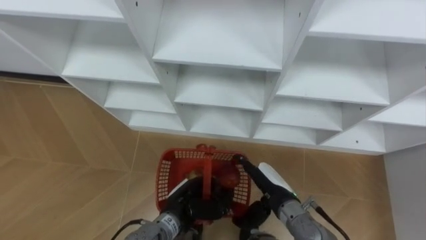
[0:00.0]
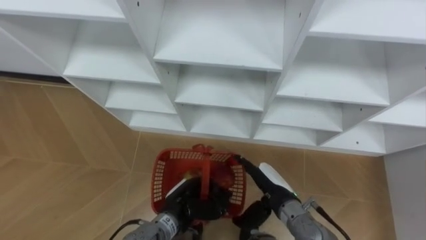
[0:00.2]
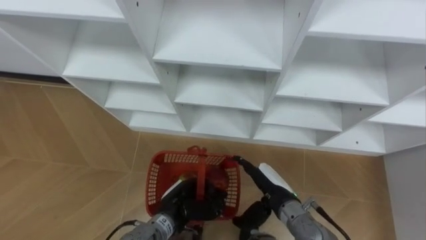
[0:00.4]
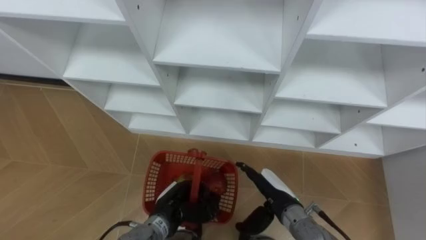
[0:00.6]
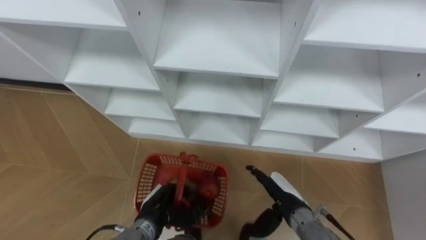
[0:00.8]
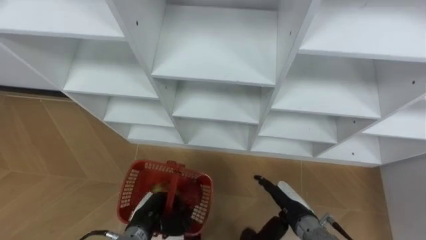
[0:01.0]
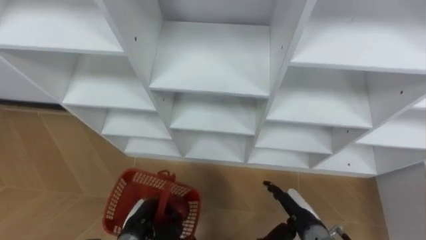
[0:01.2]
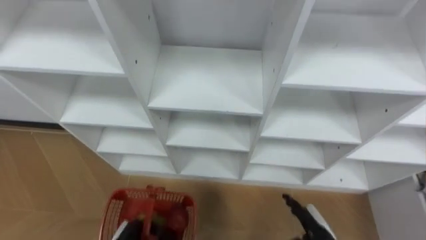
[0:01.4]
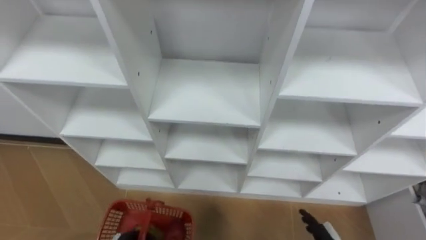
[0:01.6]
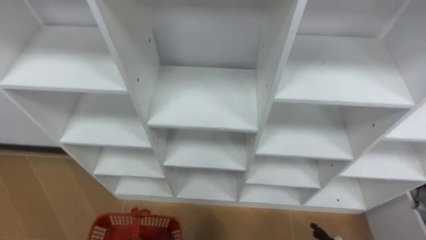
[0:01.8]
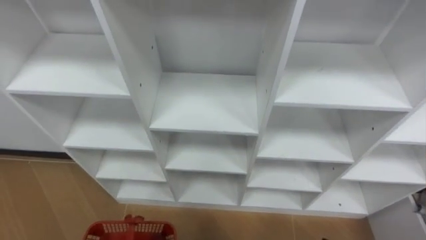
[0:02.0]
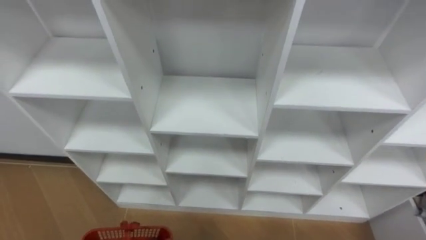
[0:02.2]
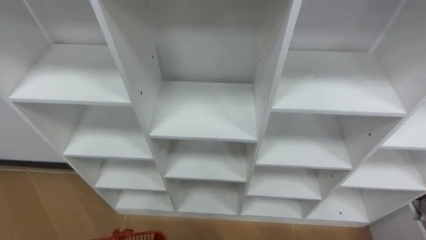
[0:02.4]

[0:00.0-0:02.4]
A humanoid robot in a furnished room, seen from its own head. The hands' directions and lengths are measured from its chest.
Task of the whole recording: Hold the basket and collect the fruits from 3 different cells of the closet into it.
0:00.0 to 0:01.2: The right hand goes some 10 cm to the right and downward. The left hand moves to the left, approximately 10 cm.

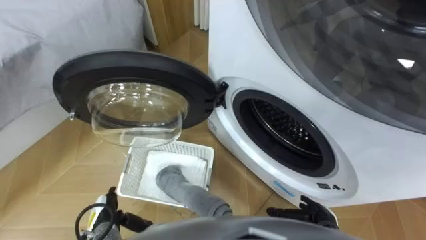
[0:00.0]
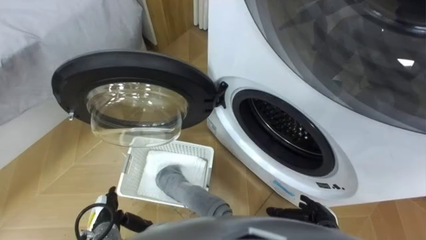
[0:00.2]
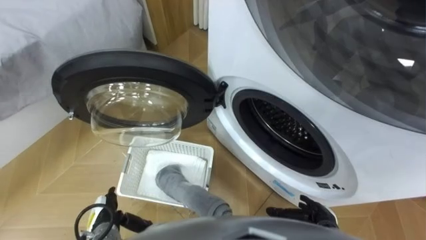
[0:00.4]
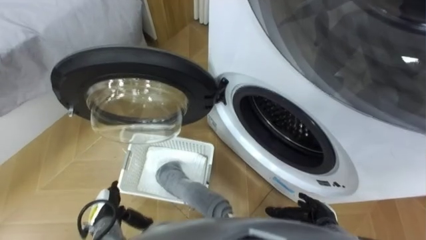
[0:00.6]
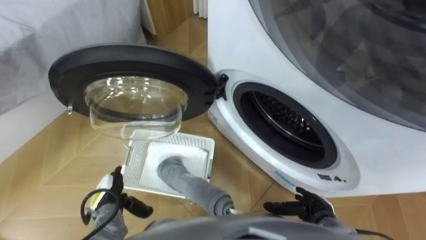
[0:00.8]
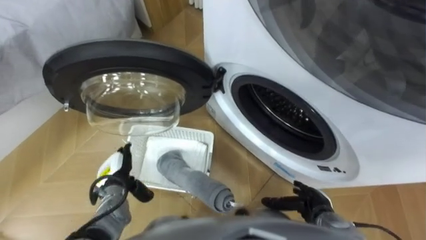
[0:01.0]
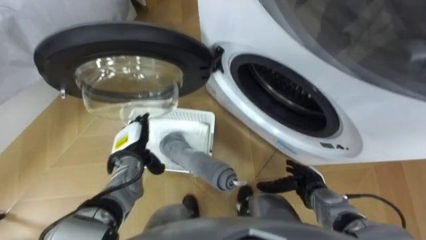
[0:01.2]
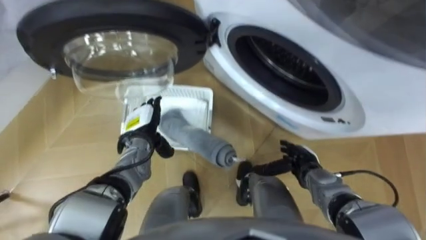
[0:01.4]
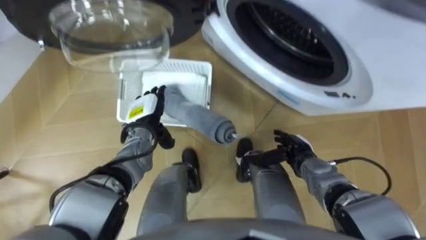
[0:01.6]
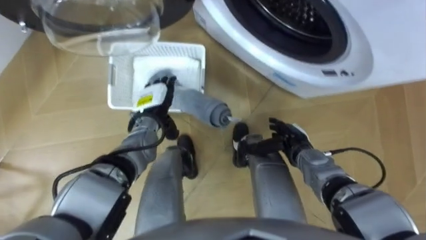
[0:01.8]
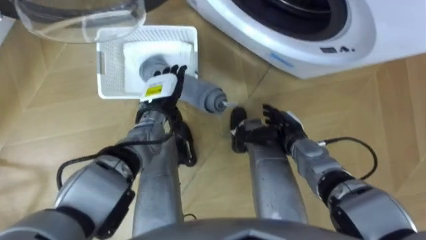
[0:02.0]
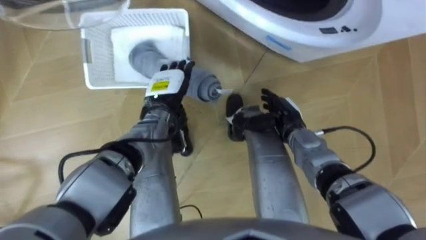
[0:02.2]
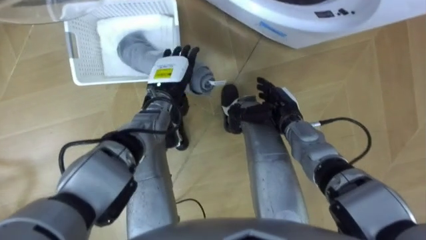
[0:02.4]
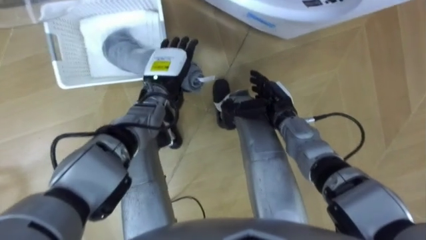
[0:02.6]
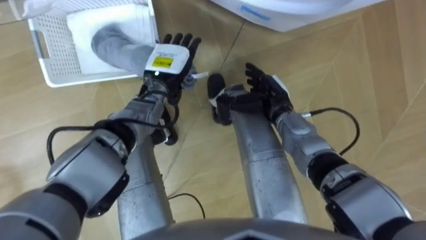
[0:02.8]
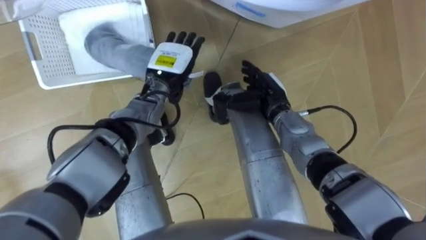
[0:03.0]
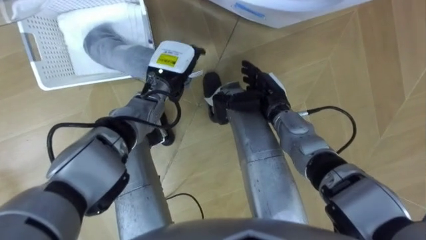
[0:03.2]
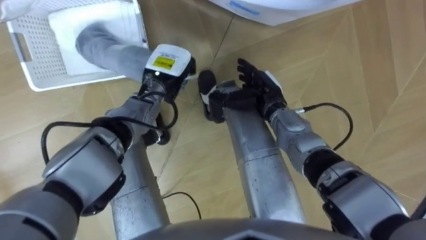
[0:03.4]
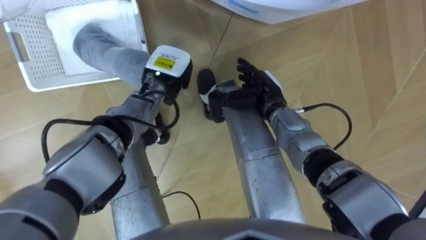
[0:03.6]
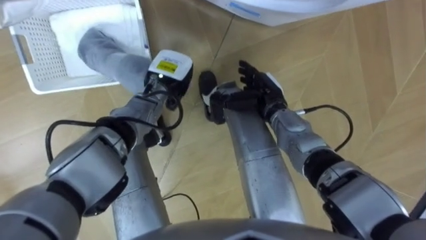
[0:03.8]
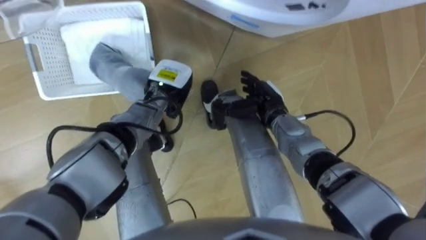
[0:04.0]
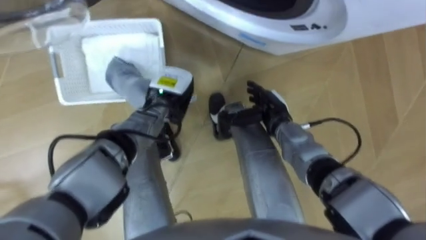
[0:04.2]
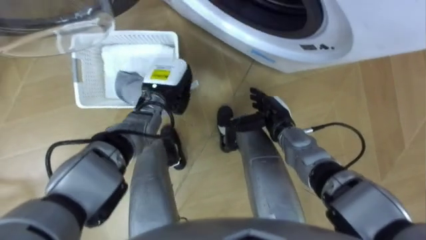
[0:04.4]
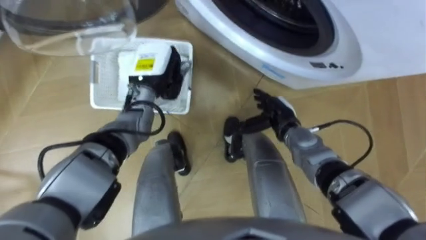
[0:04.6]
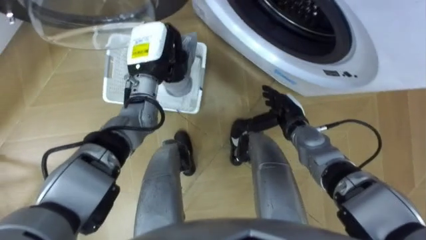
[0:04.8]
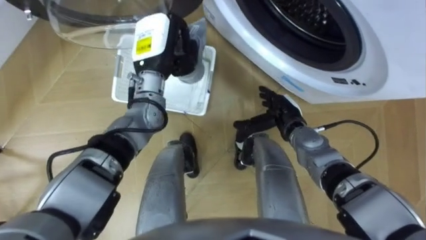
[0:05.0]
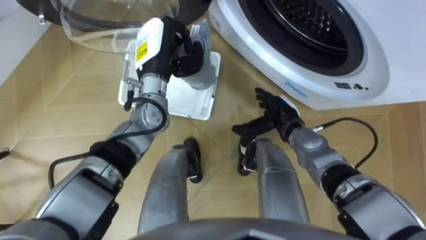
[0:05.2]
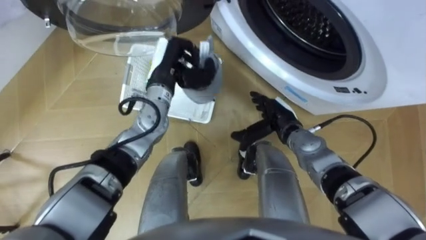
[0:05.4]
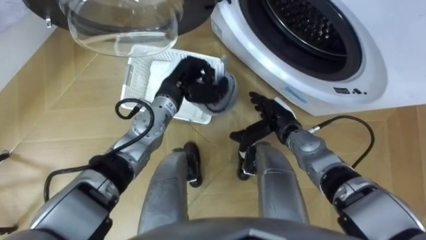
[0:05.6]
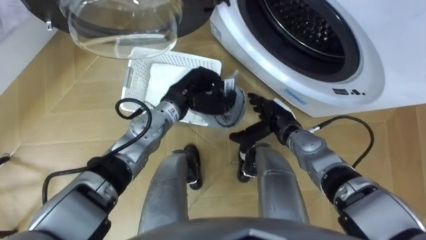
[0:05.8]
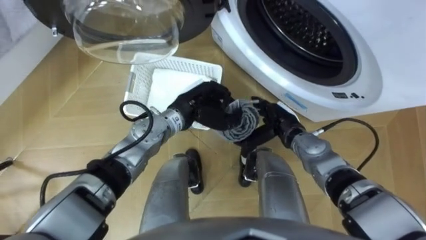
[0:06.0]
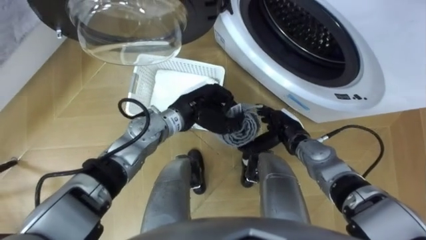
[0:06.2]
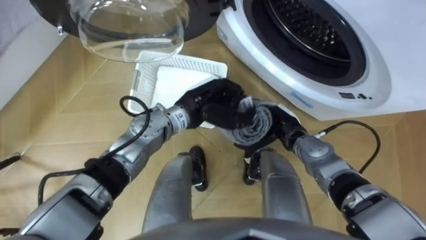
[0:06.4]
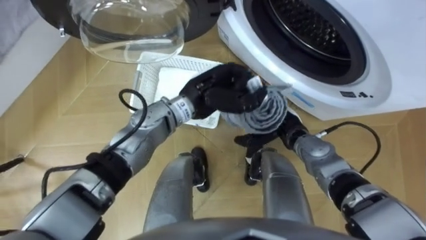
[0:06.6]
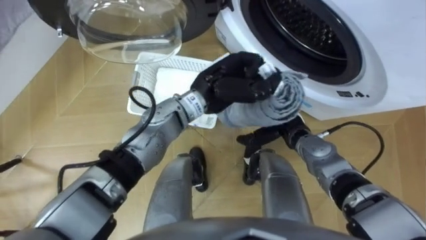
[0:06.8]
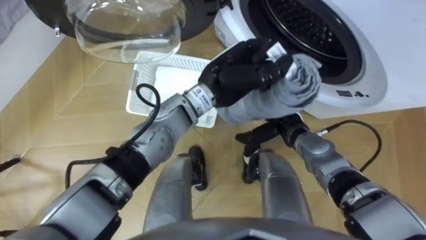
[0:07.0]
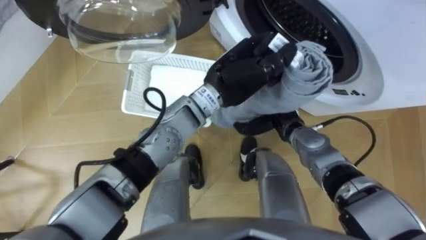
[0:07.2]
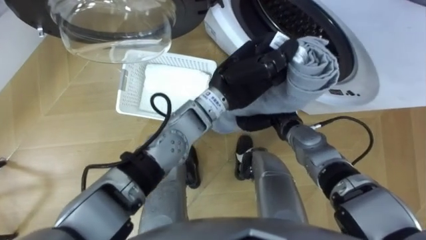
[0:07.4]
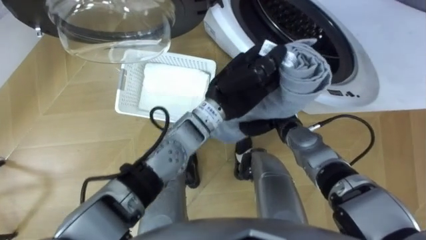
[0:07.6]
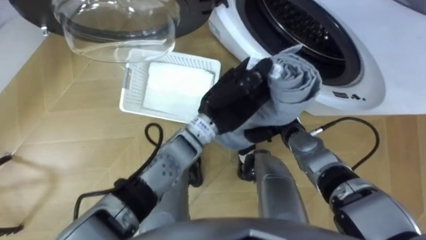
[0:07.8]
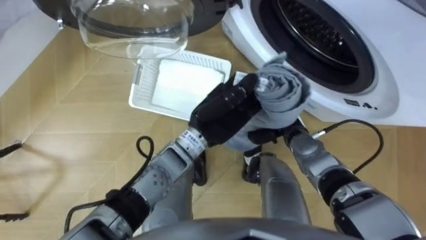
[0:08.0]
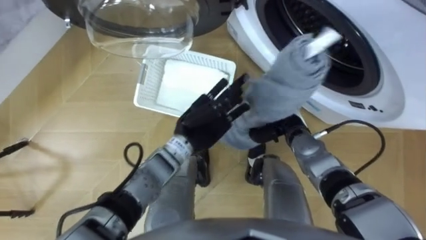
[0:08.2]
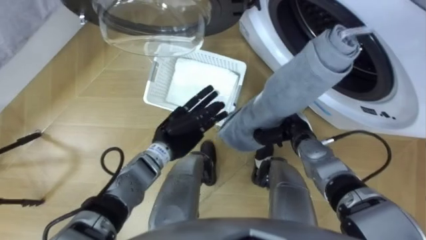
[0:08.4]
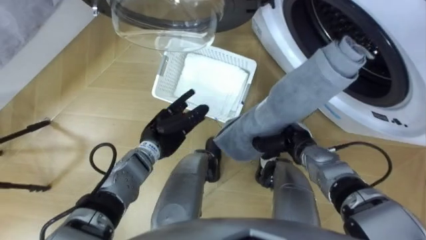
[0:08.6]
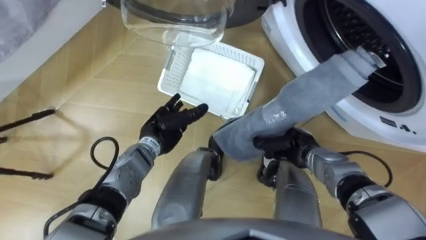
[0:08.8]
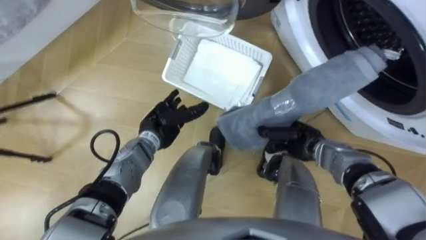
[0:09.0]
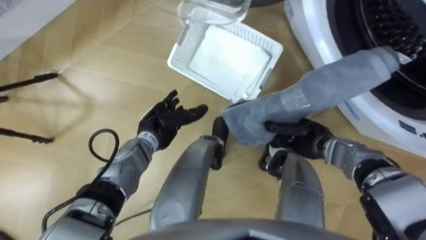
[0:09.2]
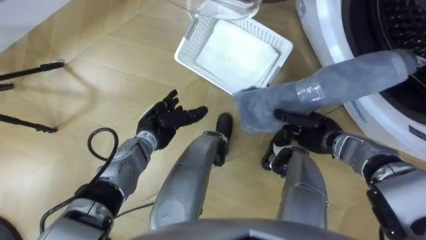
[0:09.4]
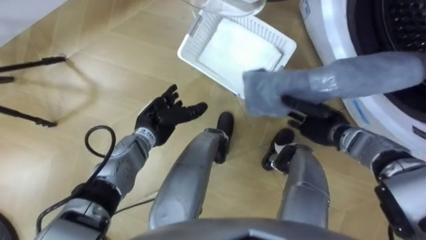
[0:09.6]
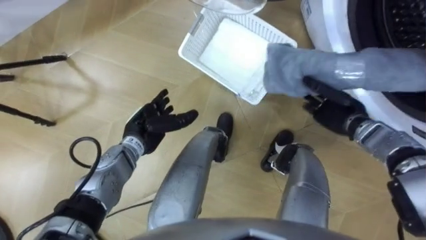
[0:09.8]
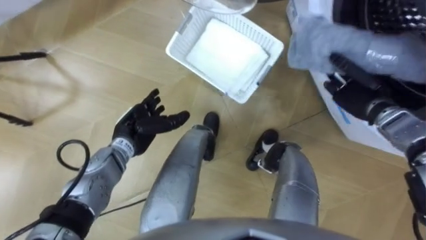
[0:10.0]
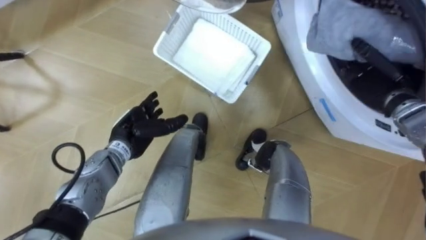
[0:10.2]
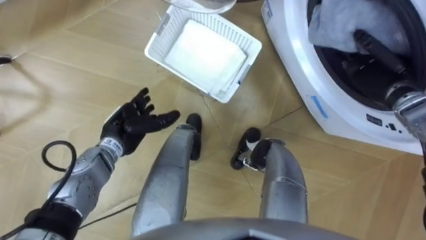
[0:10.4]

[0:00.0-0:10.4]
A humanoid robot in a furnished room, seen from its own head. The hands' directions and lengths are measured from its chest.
Task of the whole recording: Take the towel from the basket and put it into the washing machine.
0:01.4 to 0:03.0: The left hand moves upward, forward and to the right, about 15 cm. Meanwhile the right hand heads forward, upward and to the left, covering some 20 cm.
0:03.0 to 0:04.4: The left hand closes. The right hand shifts by some 5 cm.
0:04.4 to 0:06.0: The left hand travels to the right and backward by about 10 cm, and goes upward and returns, some 10 cm each way.
0:06.0 to 0:07.4: The right hand closes. Meanwhile the left hand goes some 15 cm upward and to the right.
0:07.4 to 0:09.0: The right hand shifts about 5 cm to the right, while the left hand shifts roughly 25 cm downward and to the left, and opens.
0:09.0 to 0:10.4: The left hand heads to the left, covering about 5 cm. The right hand heads to the right, upward and forward, covering approximately 20 cm.

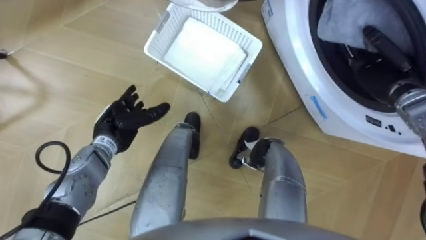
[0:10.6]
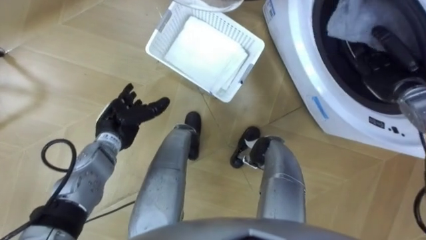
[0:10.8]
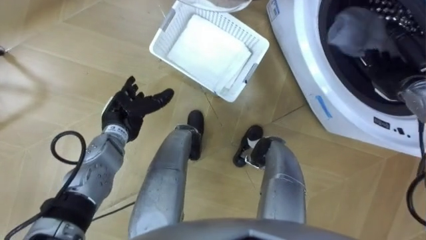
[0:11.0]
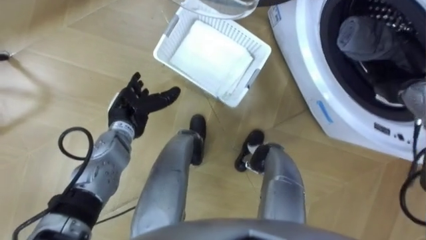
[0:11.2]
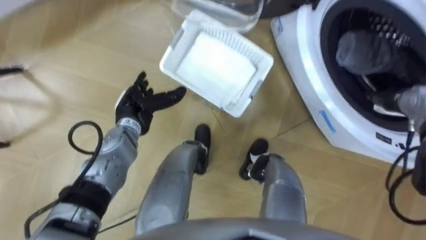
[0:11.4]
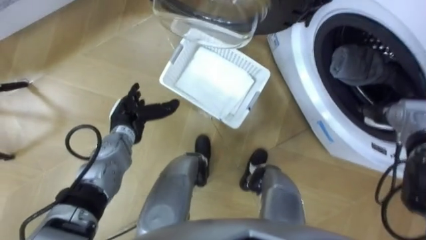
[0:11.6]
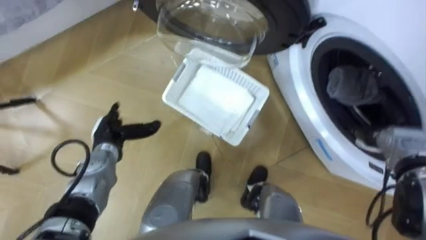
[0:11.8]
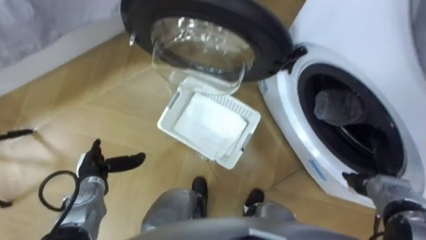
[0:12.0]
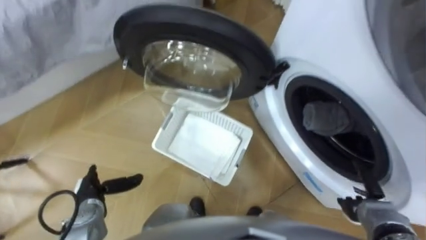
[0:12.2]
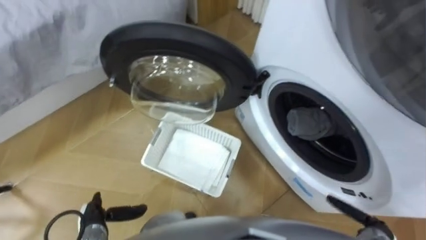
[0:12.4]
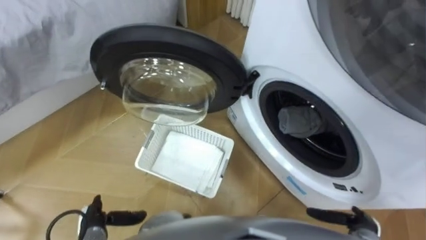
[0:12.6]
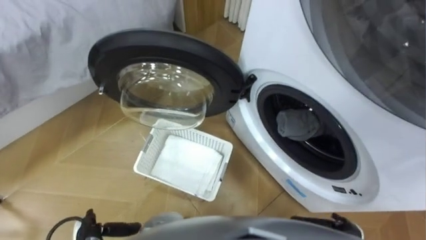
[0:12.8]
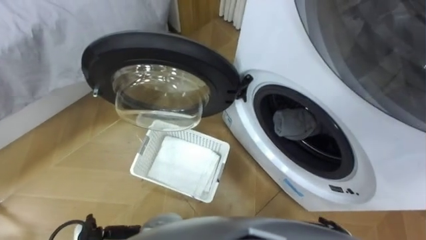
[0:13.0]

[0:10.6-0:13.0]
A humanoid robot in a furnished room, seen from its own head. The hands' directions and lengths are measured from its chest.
Task of the whole recording: Take the towel from the basket and put it into the washing machine.
0:10.6 to 0:11.8: The right hand travels backward and downward by some 15 cm, and opens.
0:11.8 to 0:13.0: The right hand goes about 25 cm backward, downward and to the left.

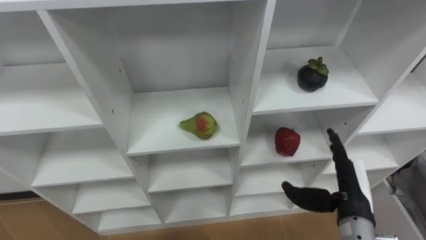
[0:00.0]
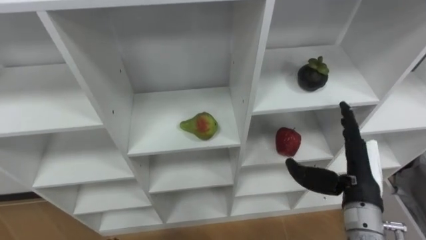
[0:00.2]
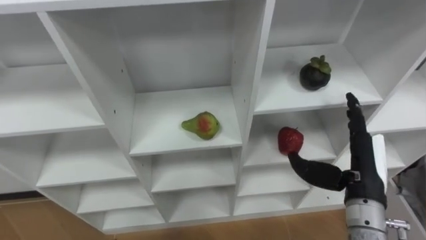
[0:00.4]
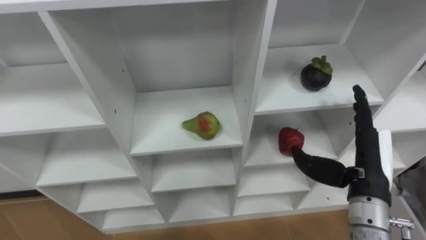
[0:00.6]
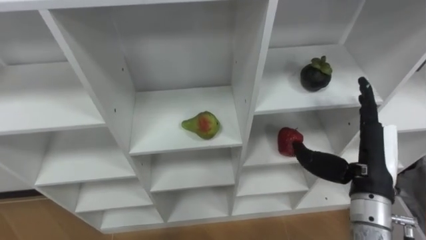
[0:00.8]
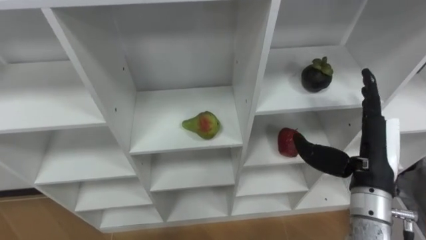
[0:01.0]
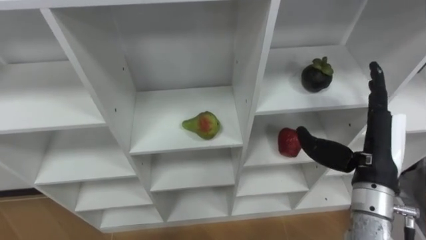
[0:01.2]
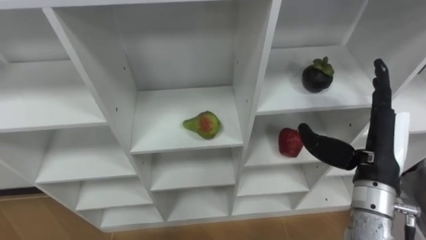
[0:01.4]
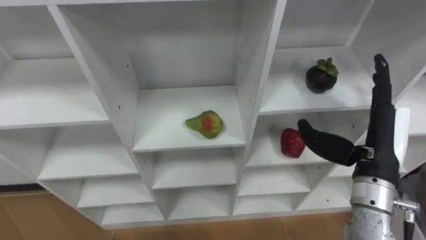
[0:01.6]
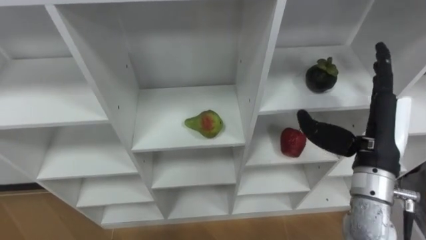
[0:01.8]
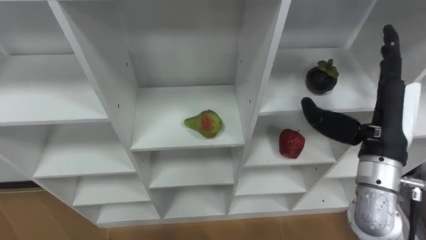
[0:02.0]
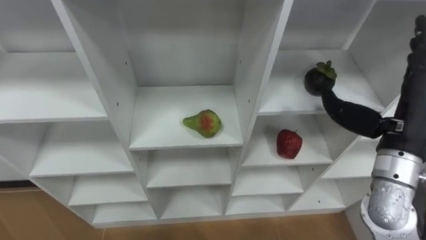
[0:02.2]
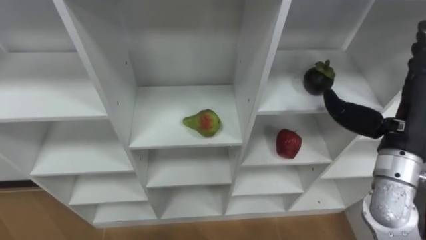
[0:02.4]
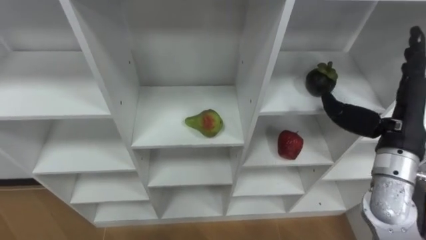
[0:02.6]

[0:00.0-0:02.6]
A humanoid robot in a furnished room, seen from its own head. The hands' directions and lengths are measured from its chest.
Task of the whole recording: Hold the basket and collect the fruits from 3 different cells of the closet into it.
0:00.0 to 0:01.2: The right hand is displaced upward by roughly 10 cm.
0:01.2 to 0:02.6: The right hand changes place by approximately 5 cm.
